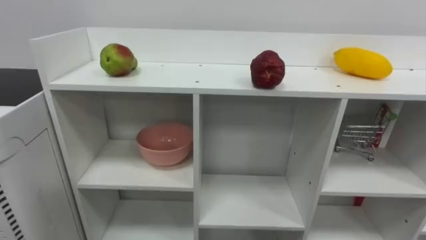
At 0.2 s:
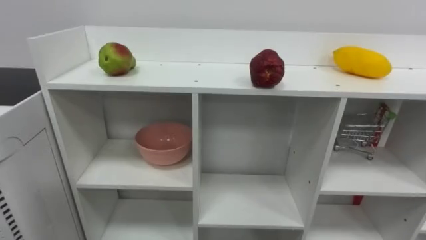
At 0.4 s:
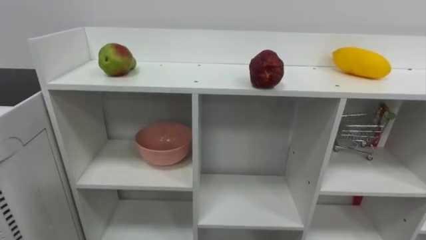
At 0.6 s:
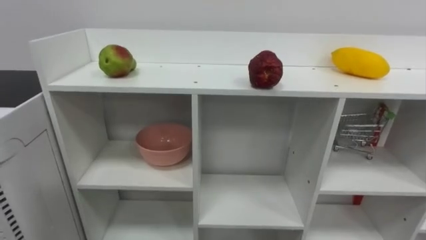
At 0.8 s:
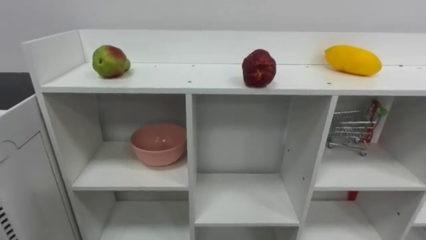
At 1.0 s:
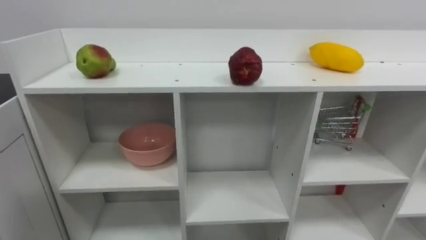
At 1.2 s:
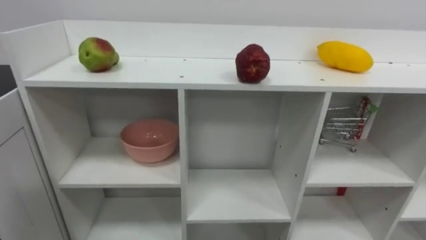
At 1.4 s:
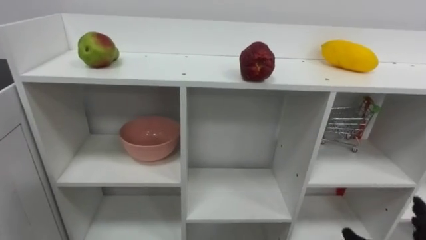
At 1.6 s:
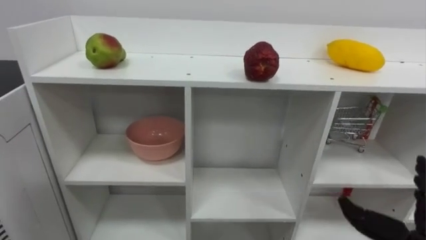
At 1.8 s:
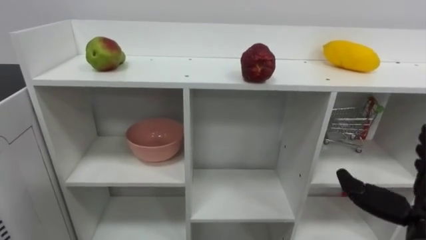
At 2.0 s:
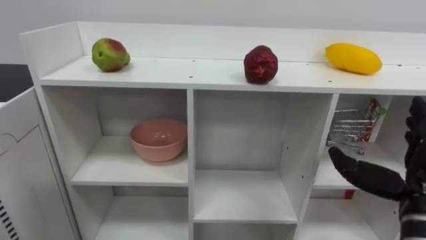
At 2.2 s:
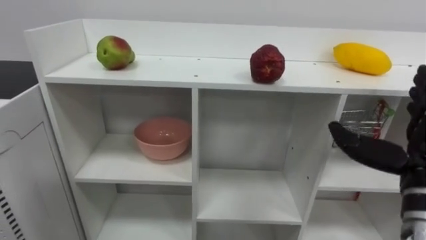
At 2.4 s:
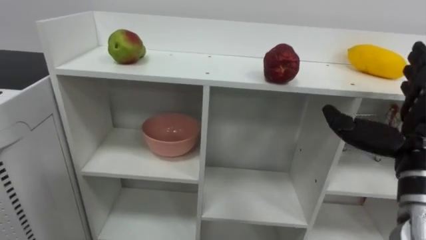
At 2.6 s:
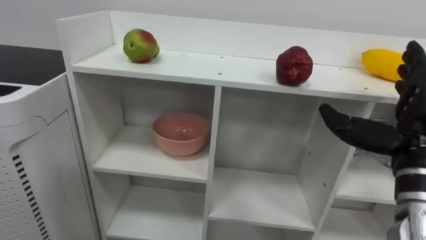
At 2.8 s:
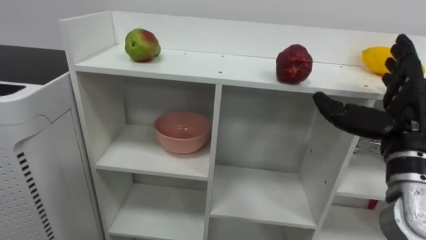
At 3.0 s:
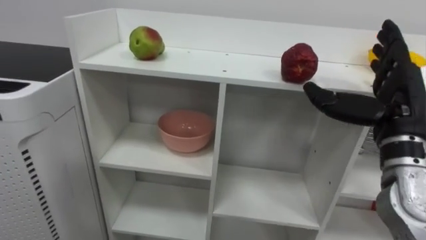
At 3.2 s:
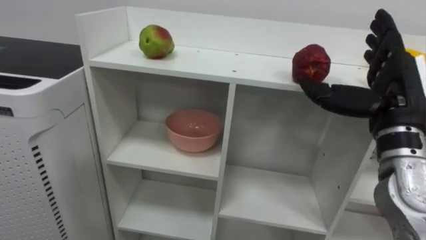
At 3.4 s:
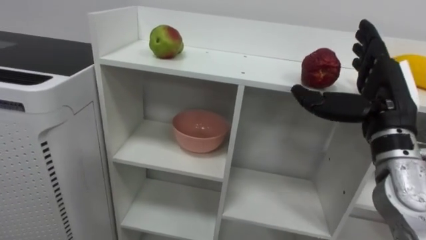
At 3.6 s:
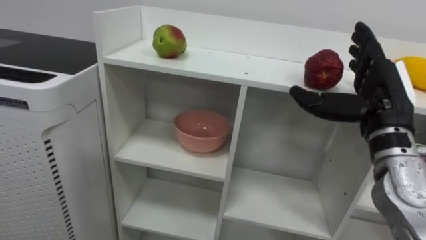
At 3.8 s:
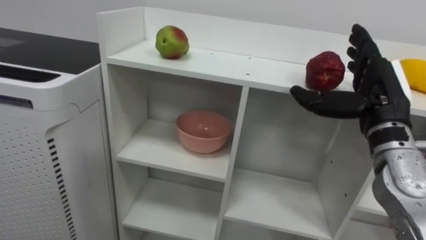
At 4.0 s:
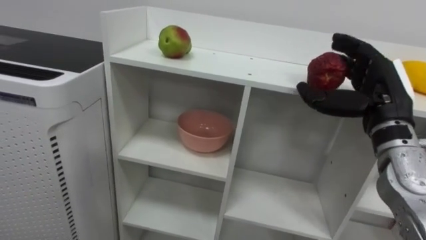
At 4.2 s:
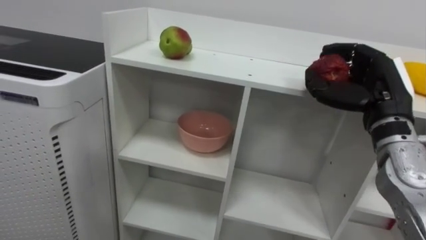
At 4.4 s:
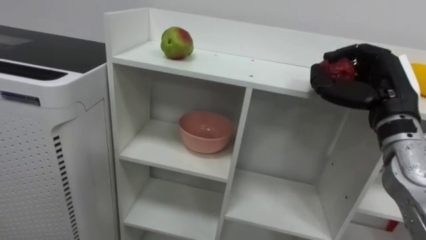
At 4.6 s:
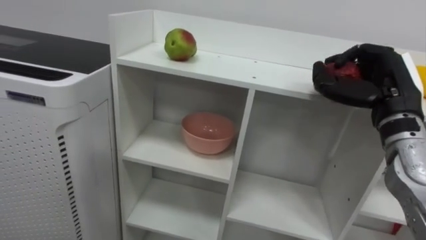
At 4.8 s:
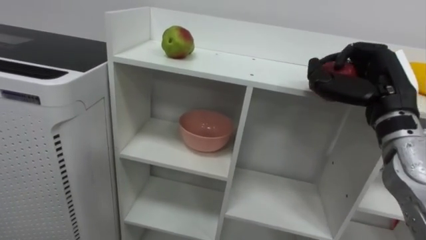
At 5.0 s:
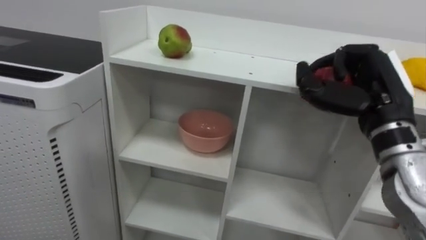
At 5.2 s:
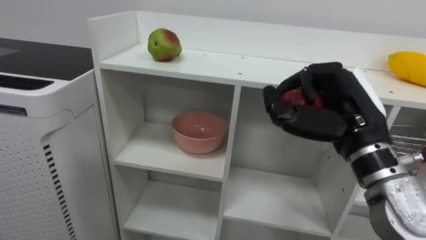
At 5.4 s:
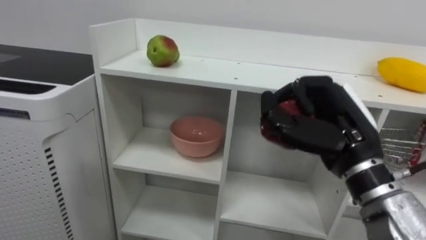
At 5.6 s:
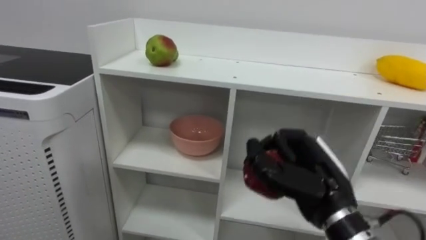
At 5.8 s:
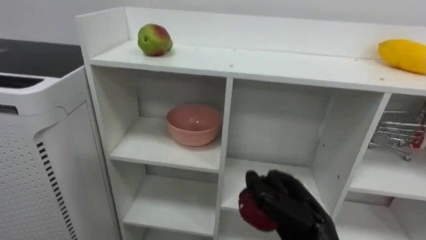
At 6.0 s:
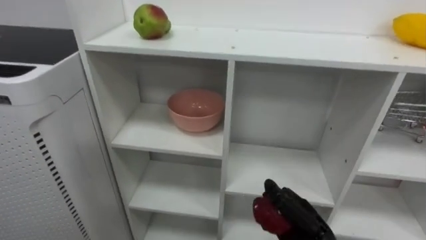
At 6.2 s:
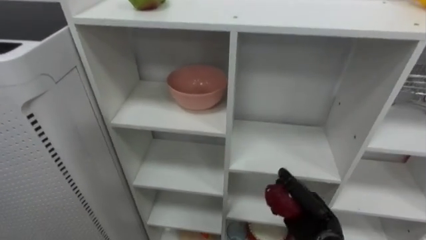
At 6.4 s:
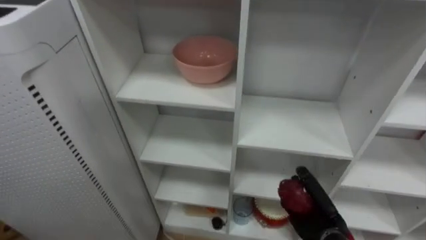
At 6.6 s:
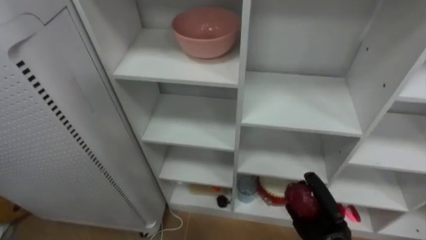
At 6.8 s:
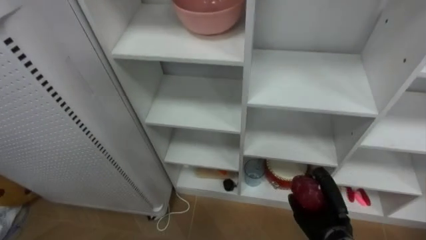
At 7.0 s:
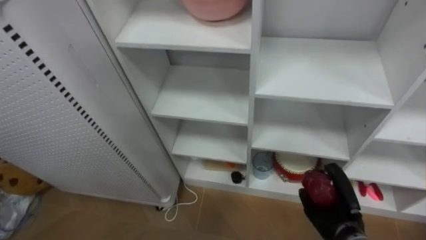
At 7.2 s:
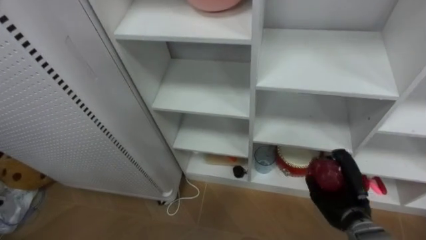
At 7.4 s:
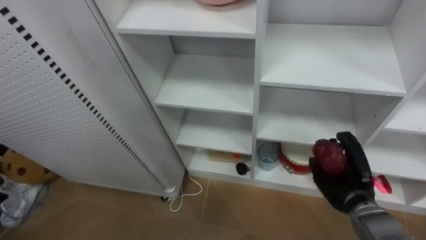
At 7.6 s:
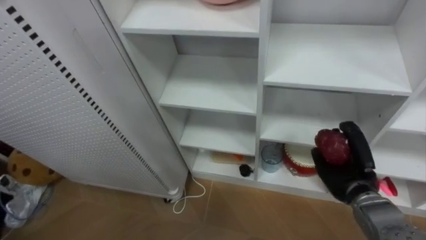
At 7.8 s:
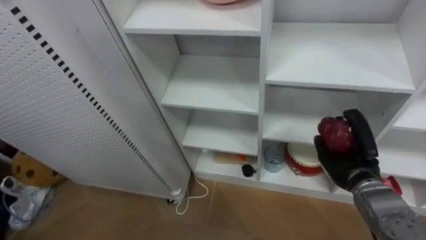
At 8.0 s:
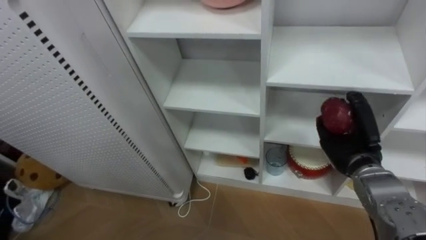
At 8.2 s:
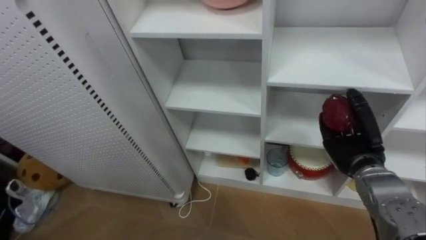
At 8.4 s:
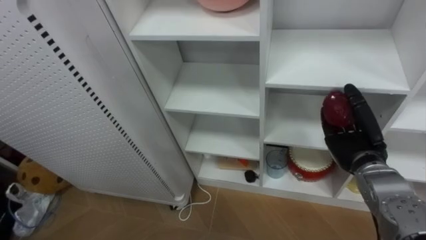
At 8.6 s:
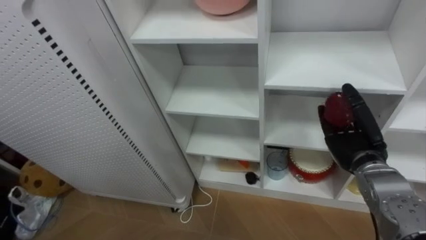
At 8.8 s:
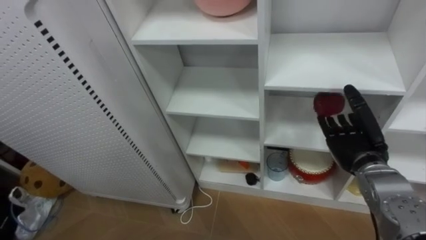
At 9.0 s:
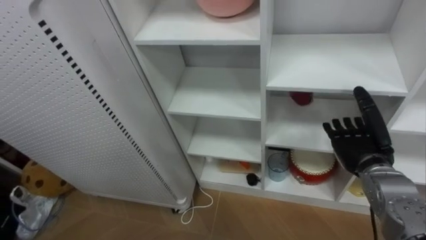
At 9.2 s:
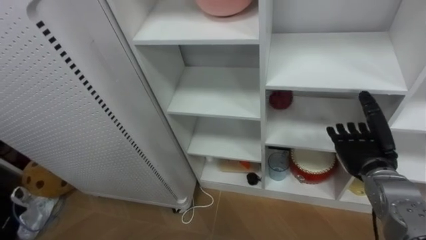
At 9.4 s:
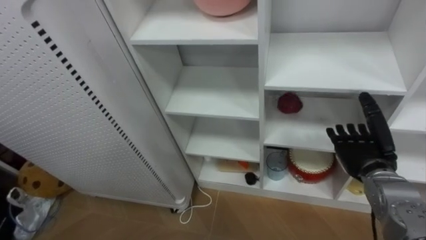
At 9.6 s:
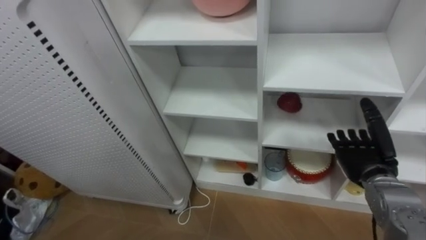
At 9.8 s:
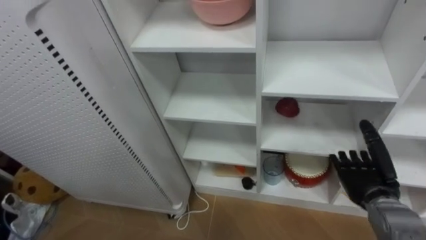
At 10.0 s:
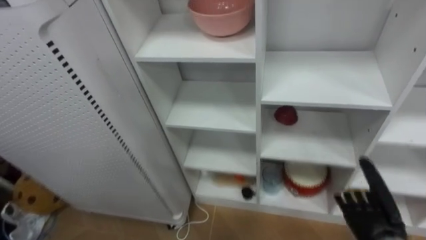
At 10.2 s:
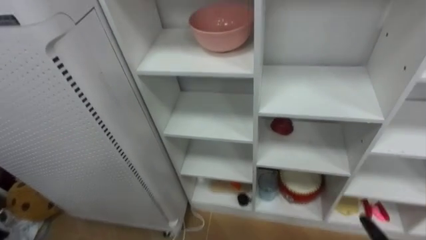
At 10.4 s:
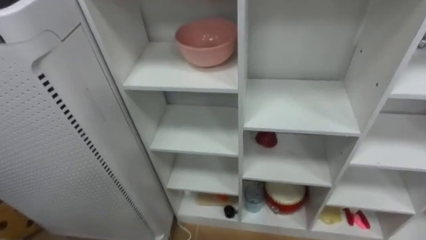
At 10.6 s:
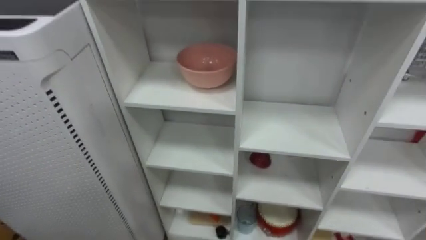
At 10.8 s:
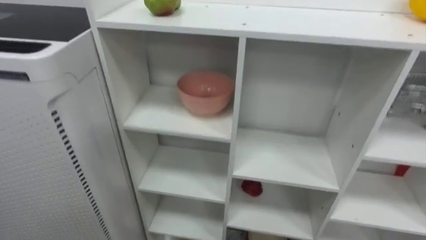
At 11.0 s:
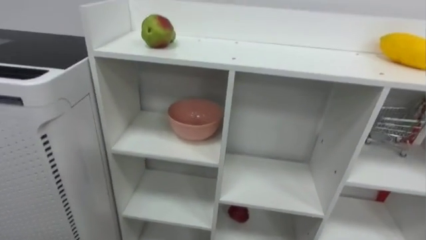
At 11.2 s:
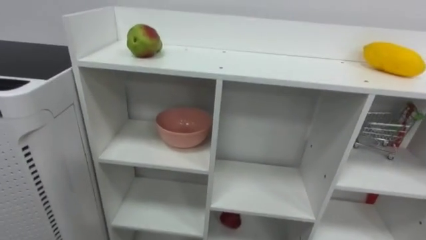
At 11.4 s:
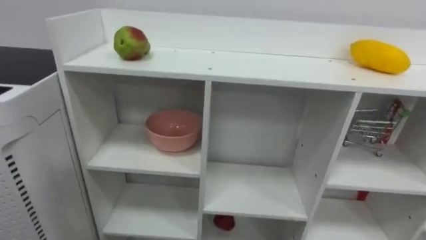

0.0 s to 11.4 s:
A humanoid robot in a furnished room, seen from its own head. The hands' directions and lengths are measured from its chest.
Task of the whole recording: Put the apple in the cell in the second column from the left and the second row from the top.
2.8 to 4.2 s: The right hand heads forward, covering approximately 5 cm, and closes.
4.2 to 5.6 s: The right hand goes about 15 cm to the left, downward and backward, and closes.
5.6 to 7.2 s: The right hand travels downward, to the right and forward by roughly 20 cm.
7.2 to 8.6 s: The right hand travels upward by approximately 10 cm, and opens up.
8.6 to 10.0 s: The right hand shifts about 15 cm downward and backward.

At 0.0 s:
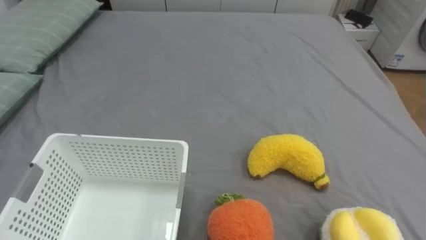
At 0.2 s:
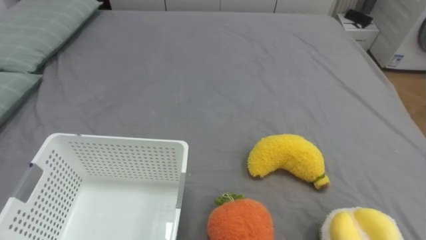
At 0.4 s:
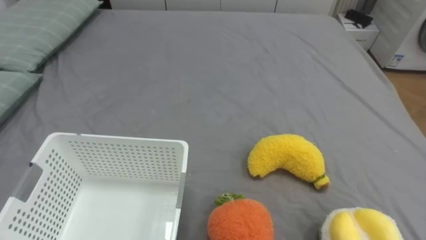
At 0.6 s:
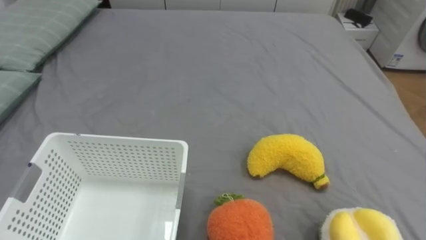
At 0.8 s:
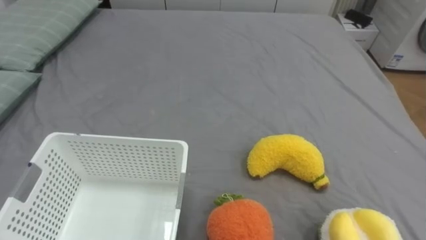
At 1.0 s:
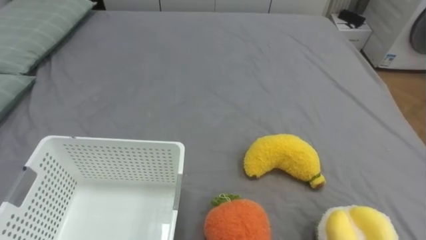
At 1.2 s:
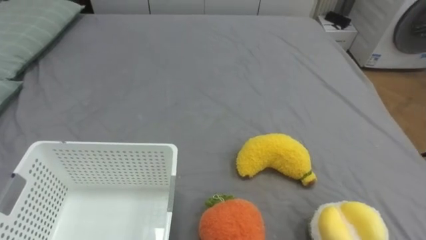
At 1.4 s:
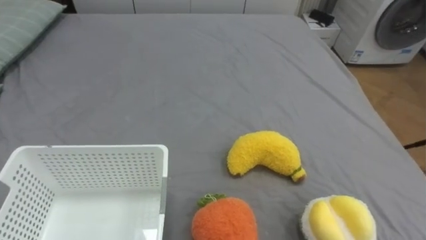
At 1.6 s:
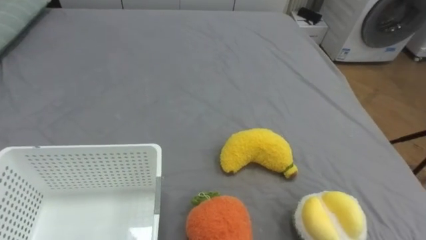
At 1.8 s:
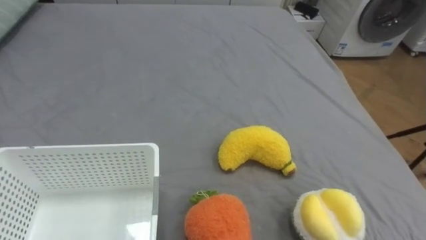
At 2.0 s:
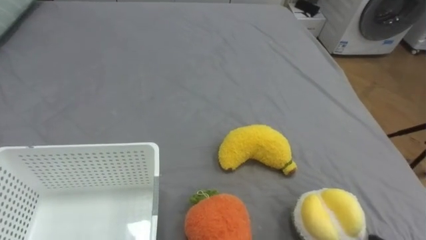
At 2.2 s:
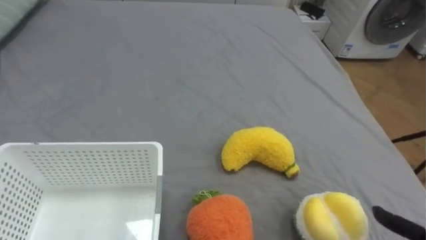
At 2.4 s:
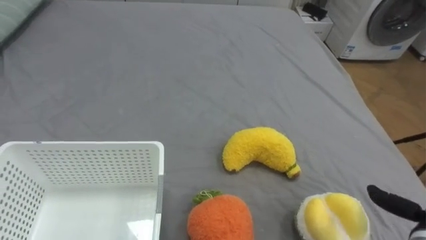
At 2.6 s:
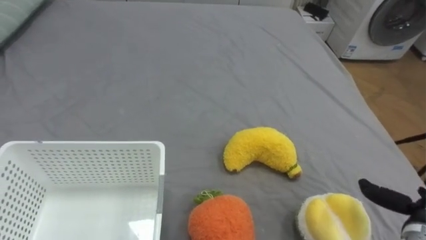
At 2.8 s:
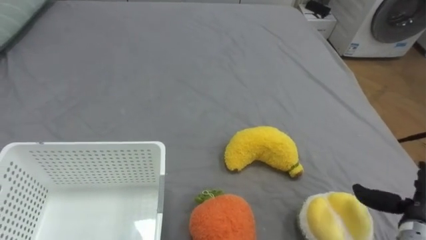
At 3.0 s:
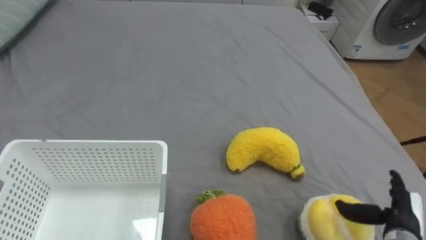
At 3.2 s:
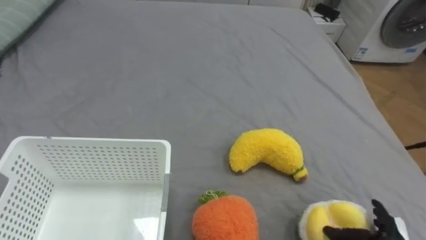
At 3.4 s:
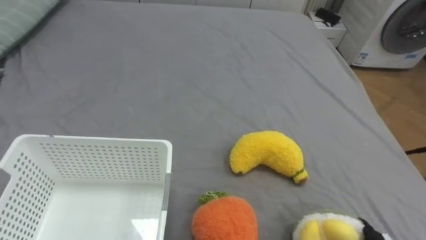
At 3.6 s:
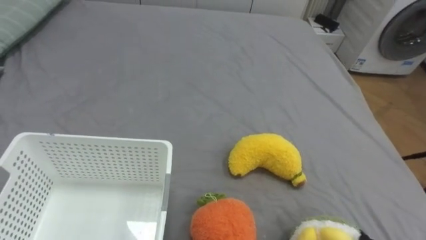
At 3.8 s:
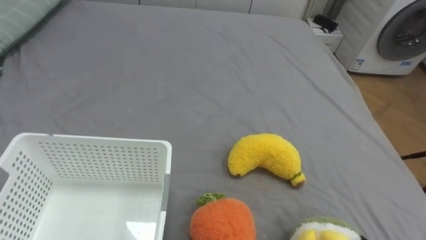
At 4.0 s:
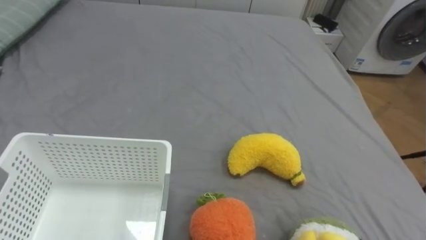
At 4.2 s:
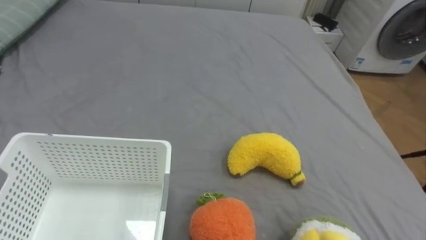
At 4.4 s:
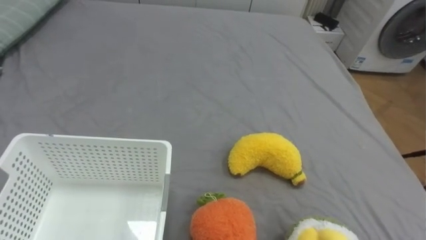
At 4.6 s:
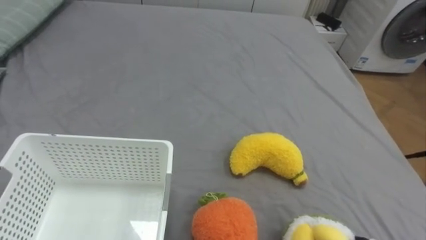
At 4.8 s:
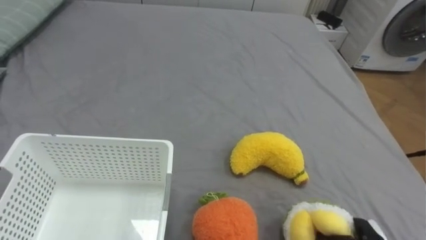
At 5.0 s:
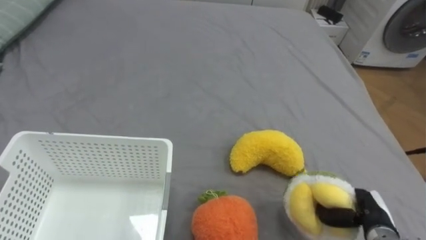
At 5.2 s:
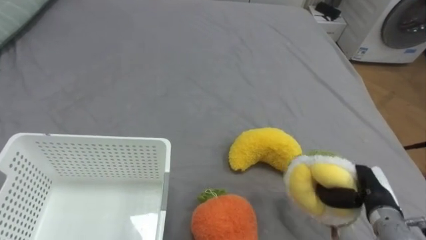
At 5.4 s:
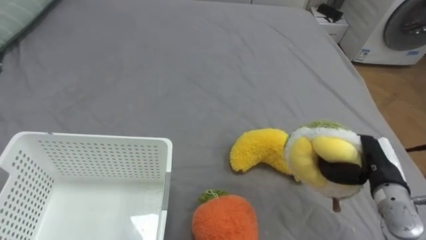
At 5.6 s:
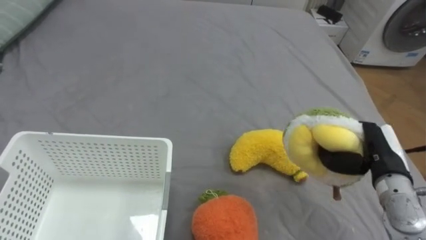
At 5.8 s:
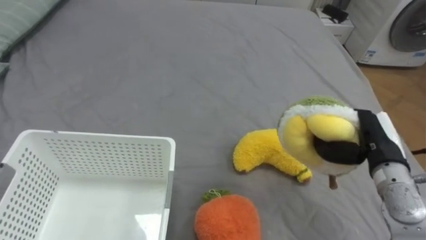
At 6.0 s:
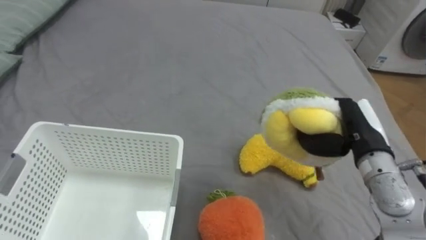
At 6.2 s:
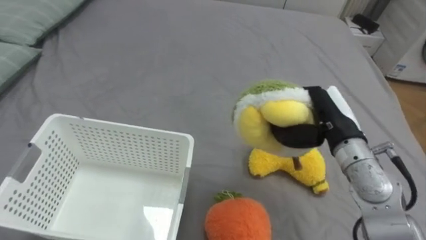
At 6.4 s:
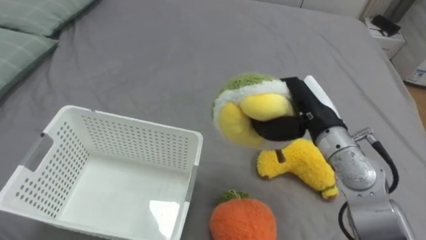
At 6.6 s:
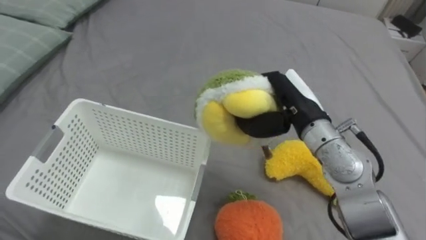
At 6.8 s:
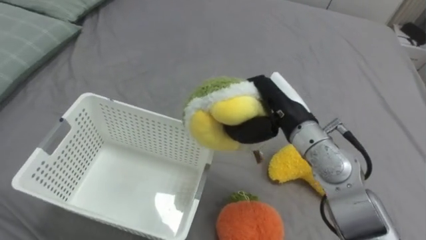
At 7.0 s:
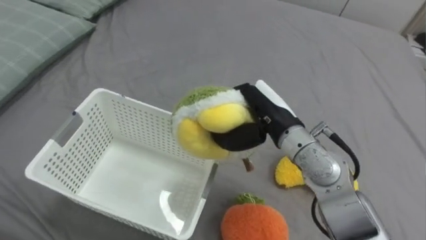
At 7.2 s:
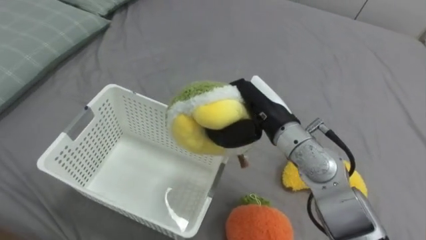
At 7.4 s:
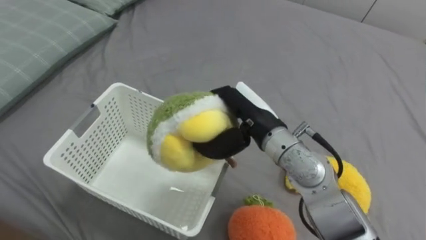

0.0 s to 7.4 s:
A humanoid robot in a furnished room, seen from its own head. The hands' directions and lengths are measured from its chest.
Task of the whole recording: Put the toys on the bed into the basket on the left.
6.0 to 7.4 s: The right hand heads to the left, covering approximately 20 cm.
